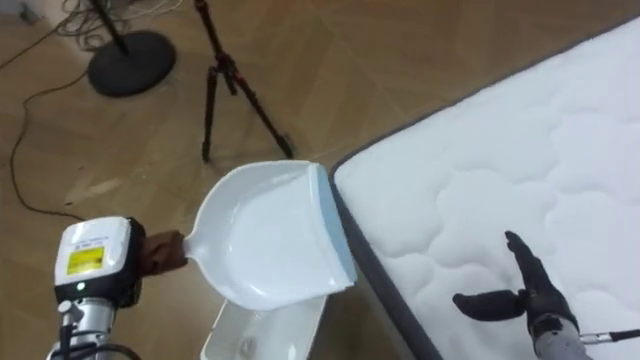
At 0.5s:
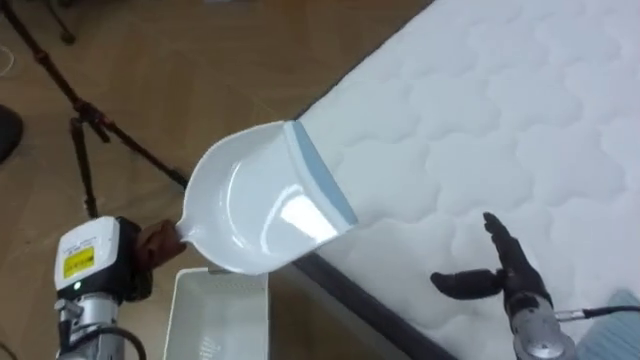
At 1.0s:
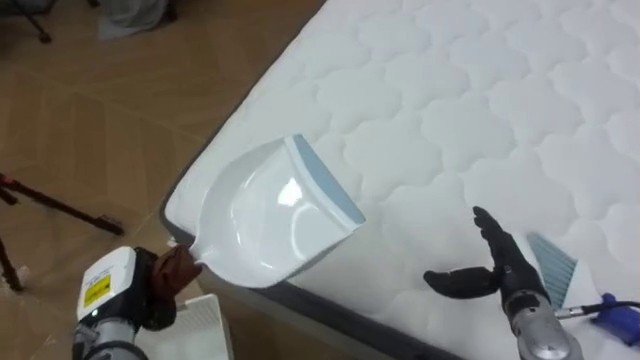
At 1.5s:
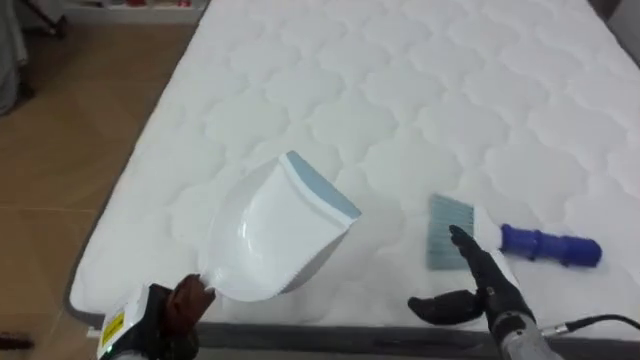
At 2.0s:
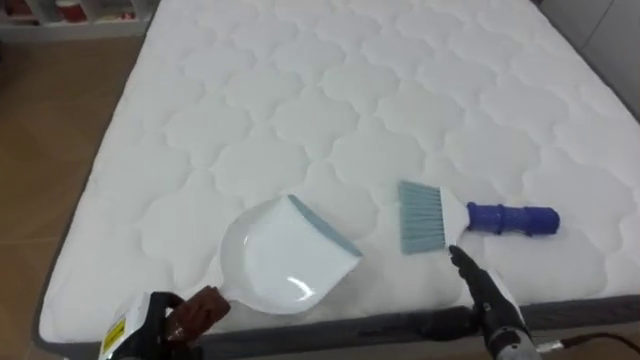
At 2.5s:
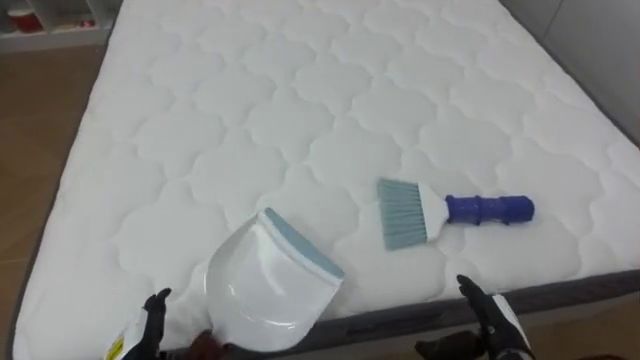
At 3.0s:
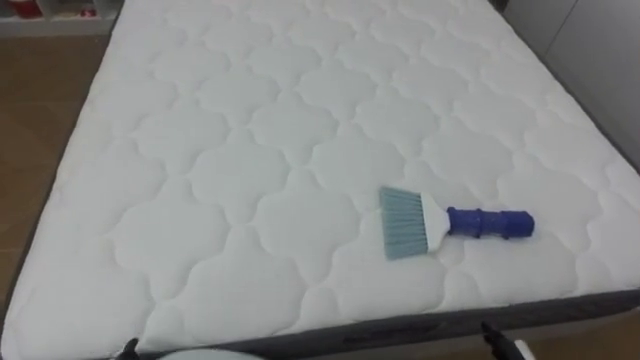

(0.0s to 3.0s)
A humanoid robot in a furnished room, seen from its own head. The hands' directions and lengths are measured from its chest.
Task of the whole recording: Pick up the brush on your right and the dustpan on your left. Use the brush to sweep the crumpled paper on the bed into the dustpan, then turn left and empty it into the basket.
0.0s - 1.5s: The robot's body swings roughly 60 degrees to its right. The right hand goes about 5 cm to the left. The left hand moves downward and backward, approximately 10 cm.

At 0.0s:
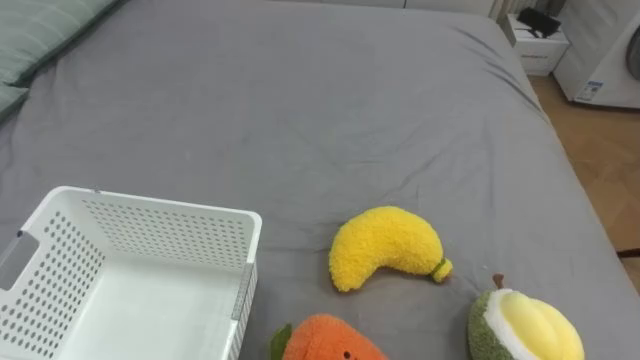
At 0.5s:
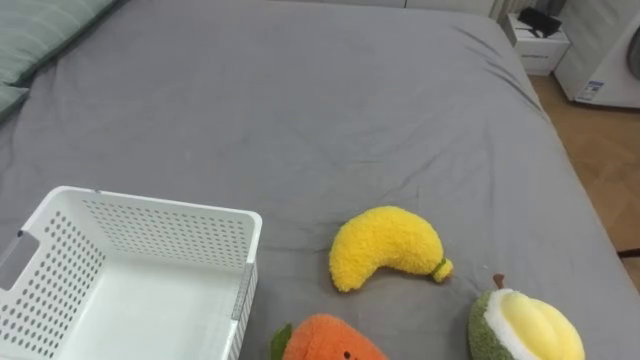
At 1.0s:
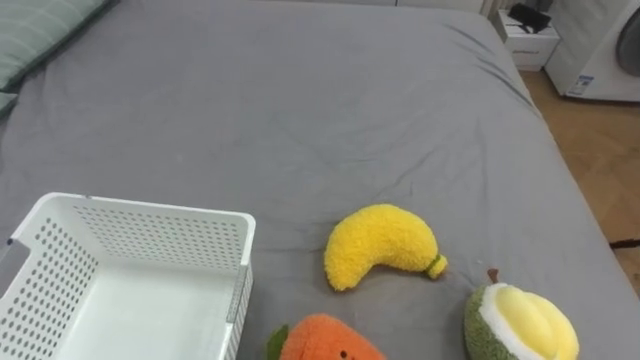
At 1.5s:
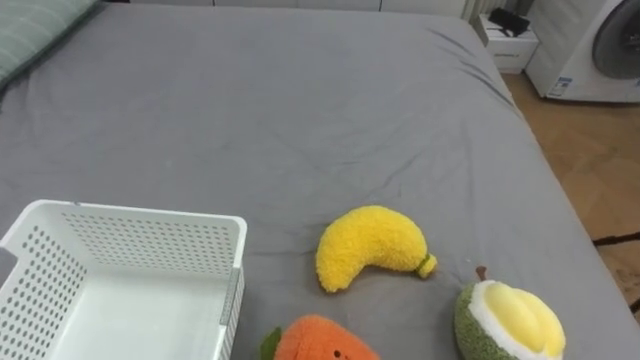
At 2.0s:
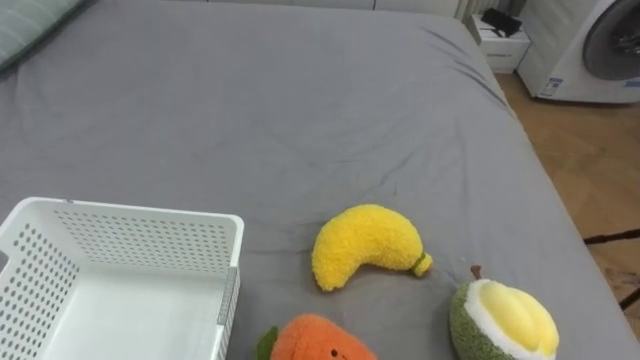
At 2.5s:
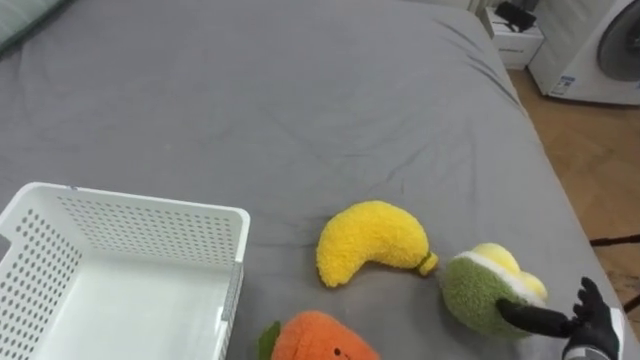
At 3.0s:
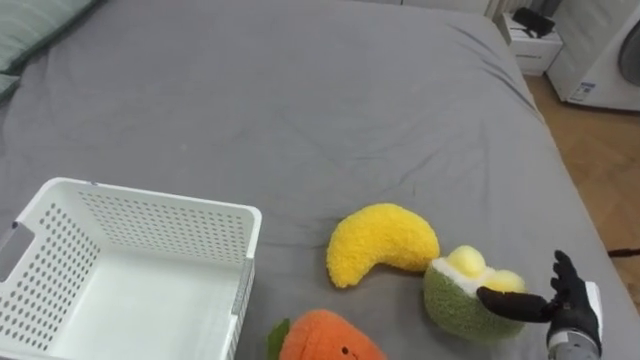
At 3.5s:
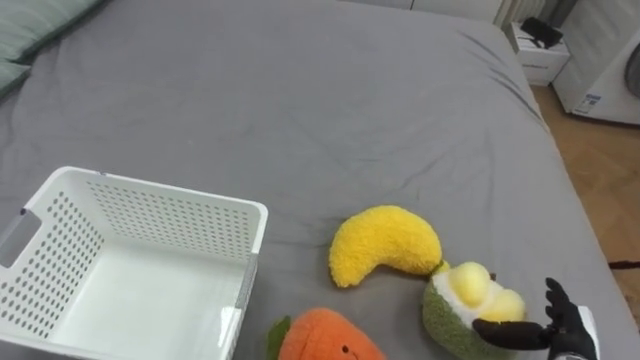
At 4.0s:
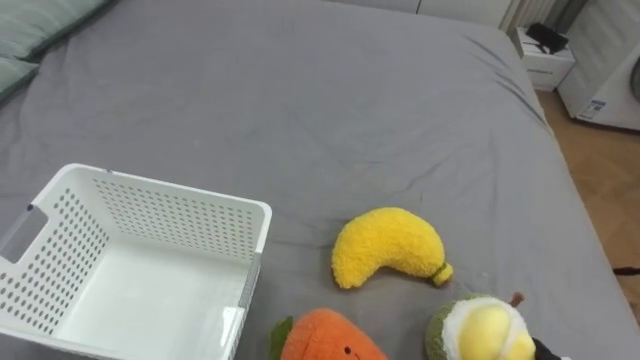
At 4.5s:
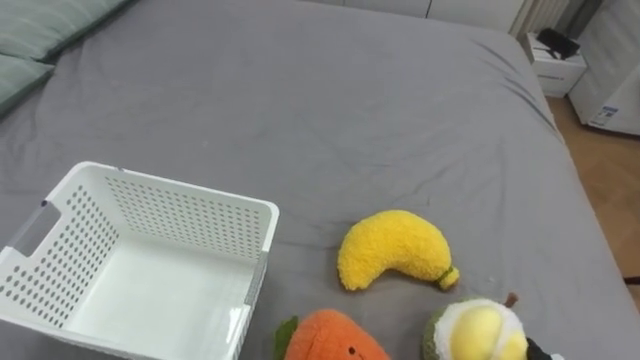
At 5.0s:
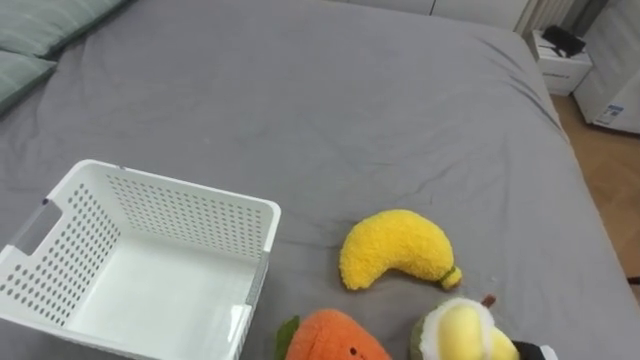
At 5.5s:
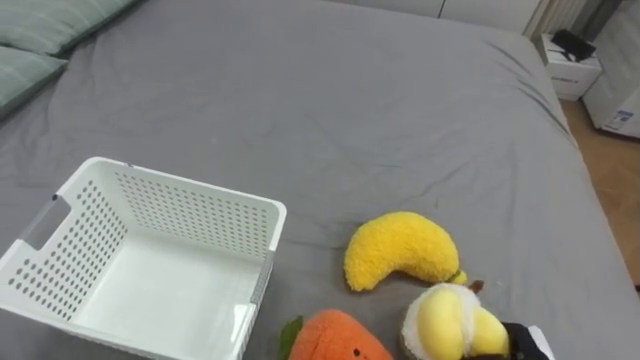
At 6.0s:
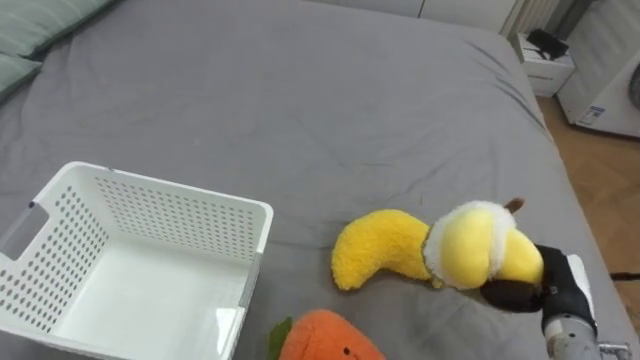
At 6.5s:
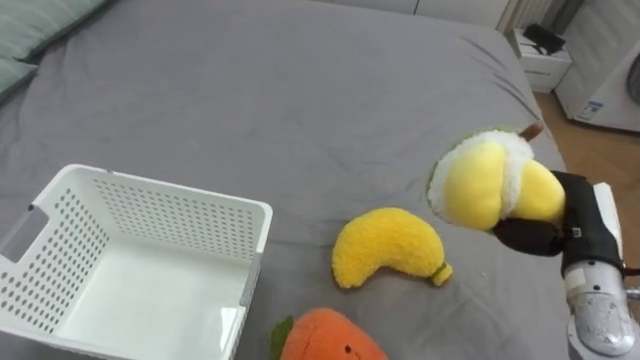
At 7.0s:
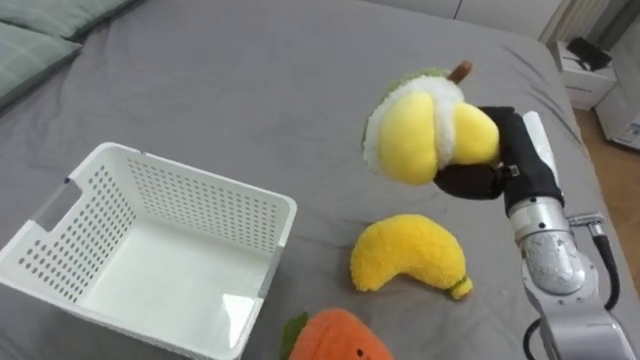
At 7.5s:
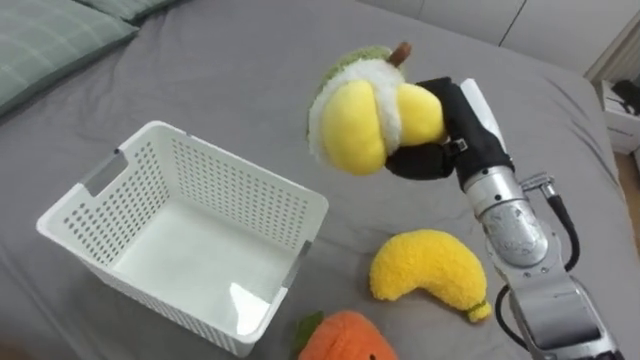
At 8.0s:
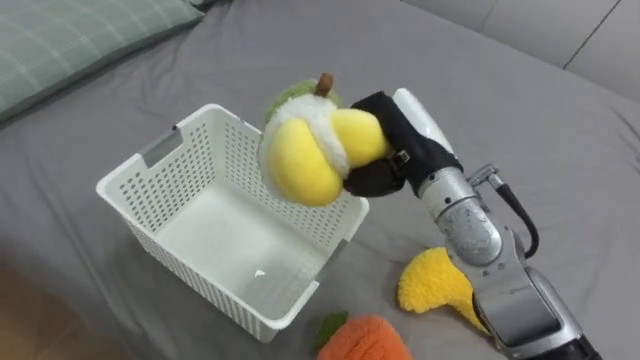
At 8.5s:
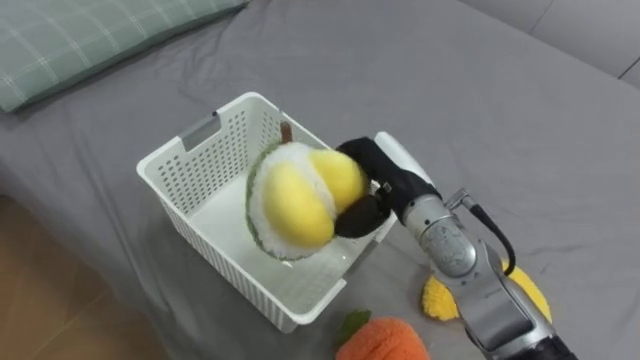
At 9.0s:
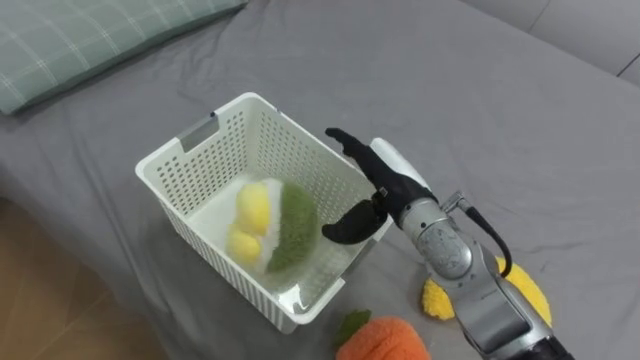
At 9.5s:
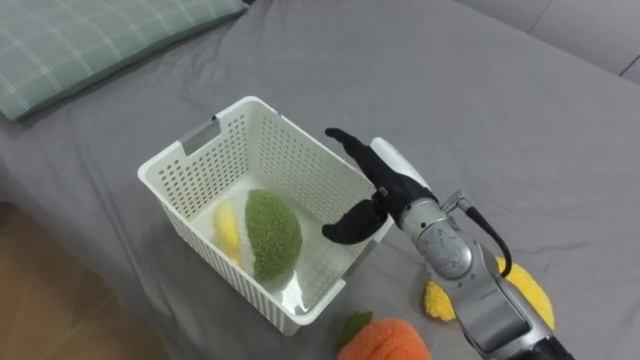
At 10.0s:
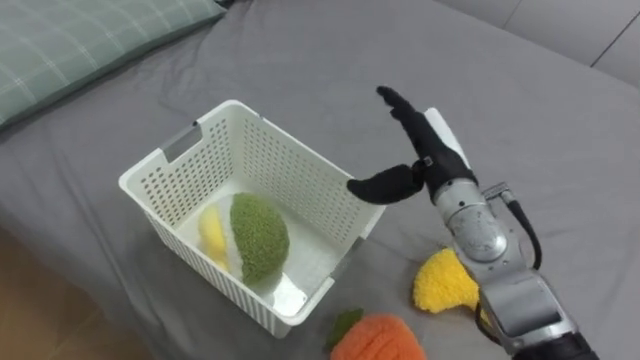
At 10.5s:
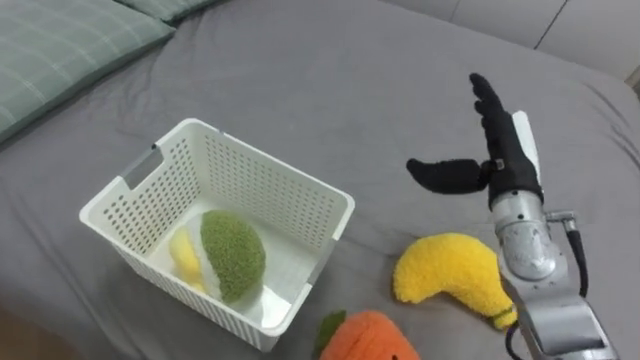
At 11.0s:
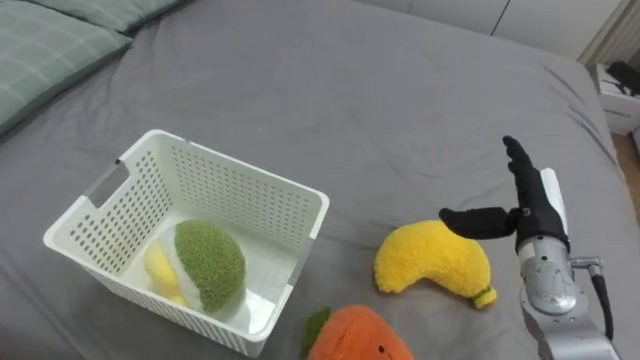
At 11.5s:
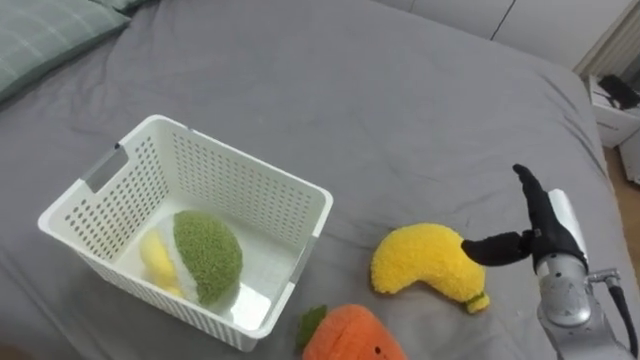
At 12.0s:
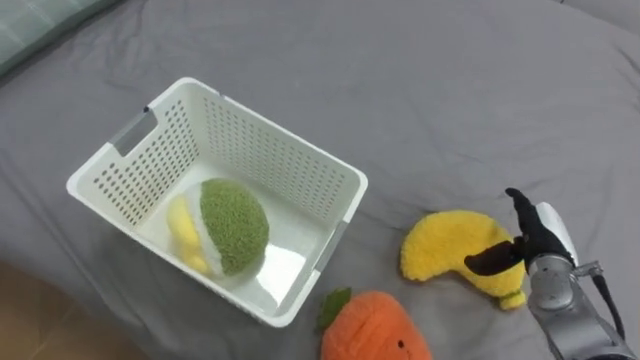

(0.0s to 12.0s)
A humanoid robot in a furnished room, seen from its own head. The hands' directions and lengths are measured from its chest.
Task of the whole recording: Put the toys on the bed into the basket on the left.
6.0s - 8.0s: The right hand shifts roughly 30 cm to the left, upward and forward.
8.0s - 10.0s: The right hand changes place by approximately 5 cm, and opens up.
10.0s - 12.0s: The right hand heads to the right and downward, covering about 20 cm.

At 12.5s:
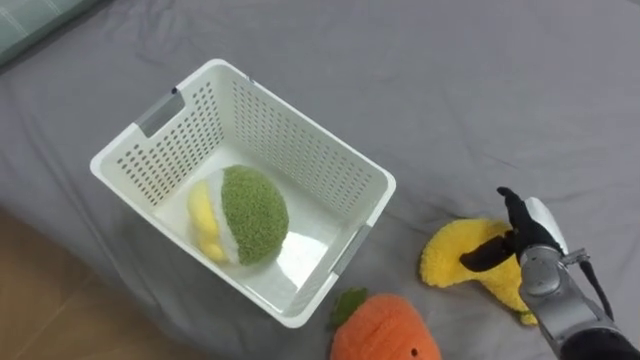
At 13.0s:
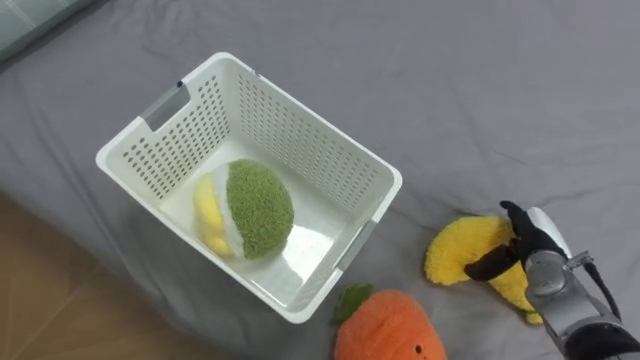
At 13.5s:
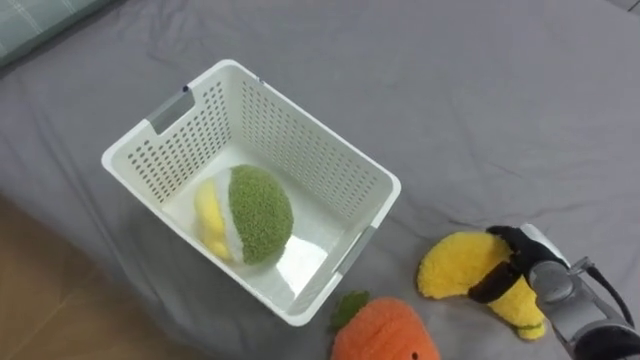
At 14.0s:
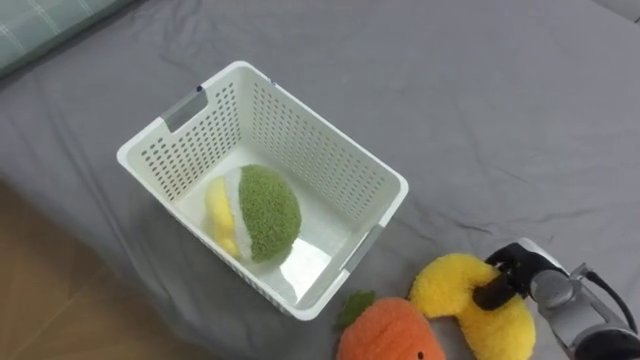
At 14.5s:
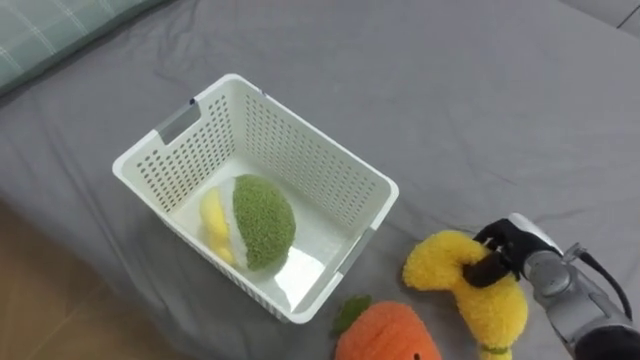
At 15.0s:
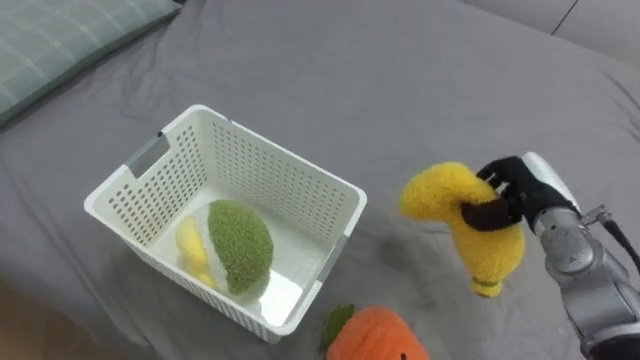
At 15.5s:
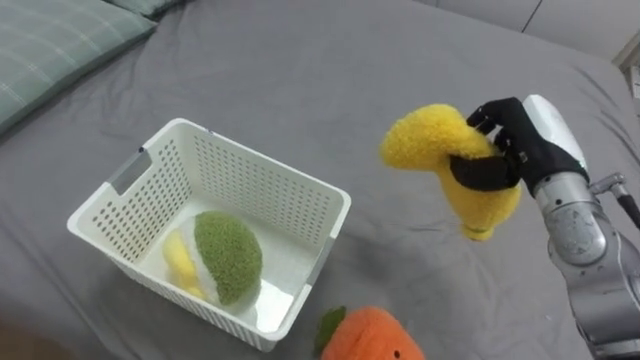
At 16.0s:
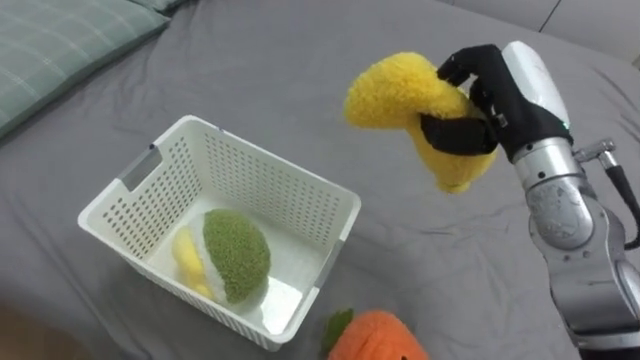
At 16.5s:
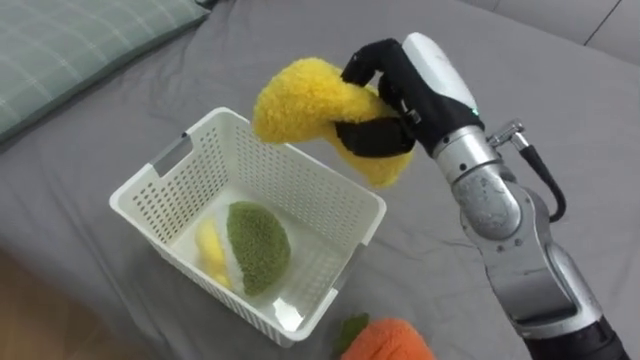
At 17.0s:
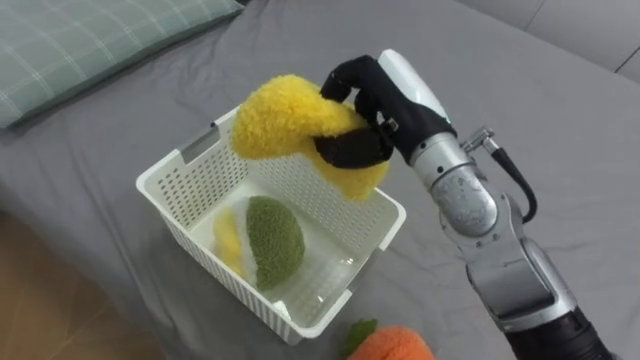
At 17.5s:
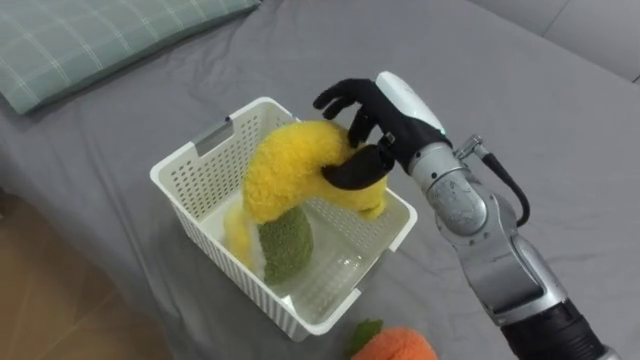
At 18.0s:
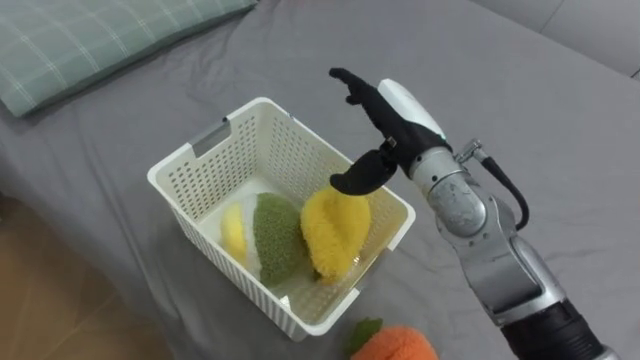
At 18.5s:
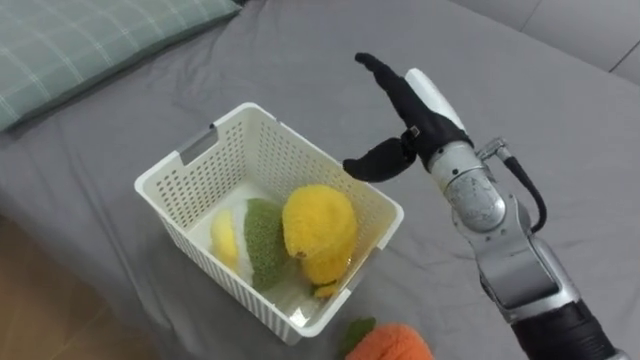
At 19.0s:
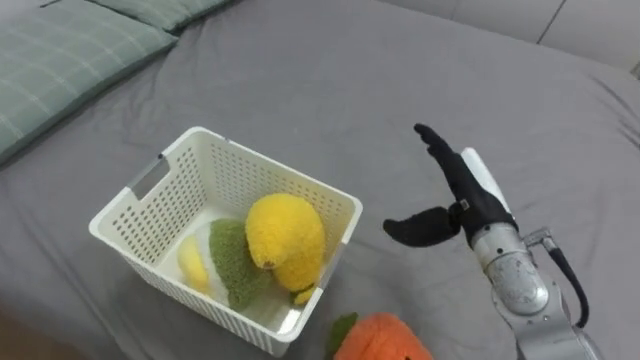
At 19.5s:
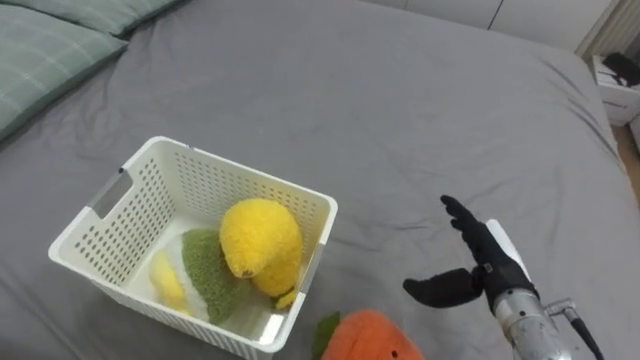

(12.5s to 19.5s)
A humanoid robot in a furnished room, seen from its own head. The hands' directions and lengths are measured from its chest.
Task of the whole recording: Put the toys on the bed into the basket on the left.
12.5s - 14.5s: The right hand closes.
14.5s - 16.0s: The right hand travels upward by roughly 25 cm.
16.0s - 17.5s: The right hand moves to the left, roughly 10 cm.
17.5s - 19.5s: The right hand moves downward, to the right and backward, some 20 cm, and opens its fingers.
